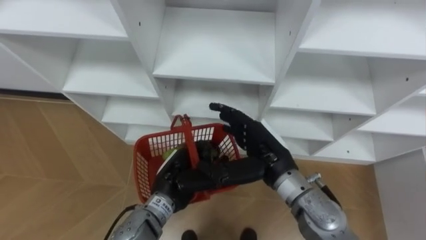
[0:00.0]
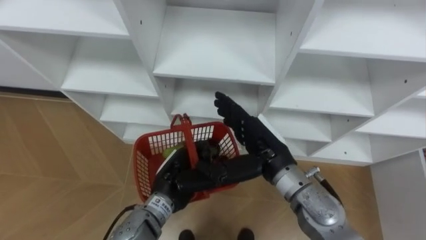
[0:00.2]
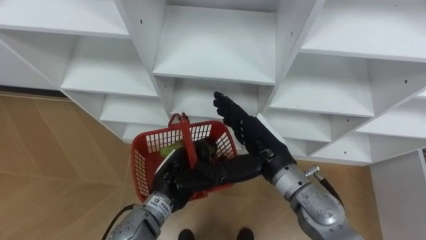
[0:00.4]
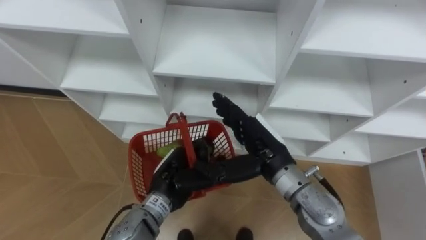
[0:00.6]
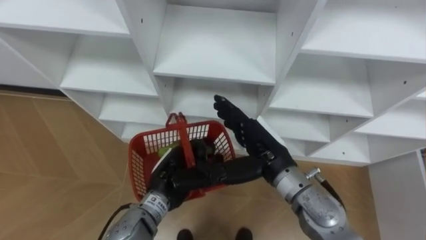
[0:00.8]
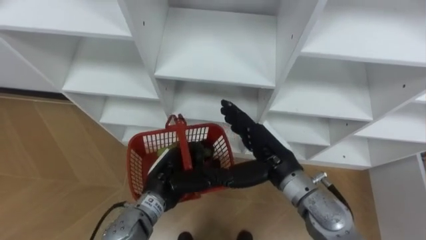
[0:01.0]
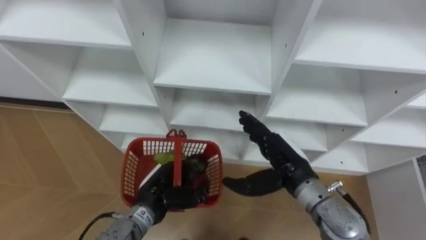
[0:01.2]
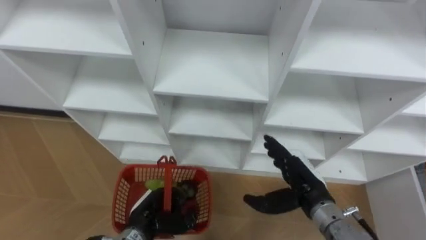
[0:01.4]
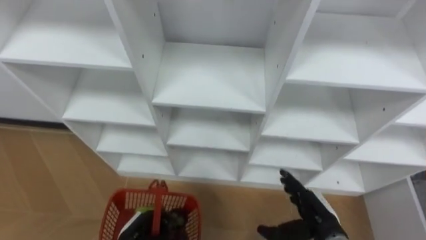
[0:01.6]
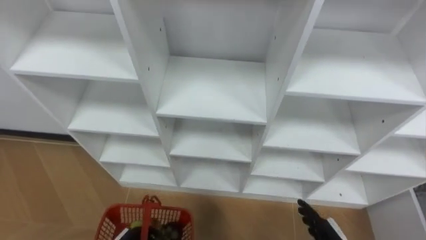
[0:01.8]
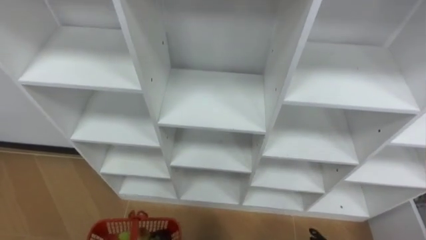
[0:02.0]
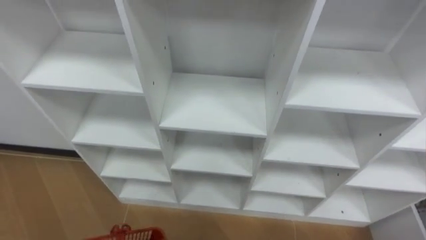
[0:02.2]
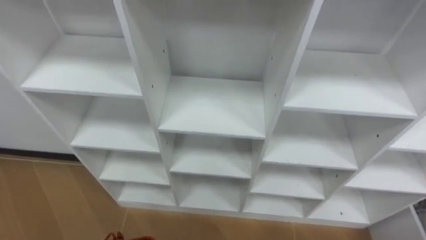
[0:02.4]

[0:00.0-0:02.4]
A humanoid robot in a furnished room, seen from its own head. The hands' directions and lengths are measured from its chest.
Task of the whole recording: Hold the basket and collect the fruits from 3 different cells of the closet into it.
0:00.0 to 0:01.2: The left hand changes place by about 5 cm.

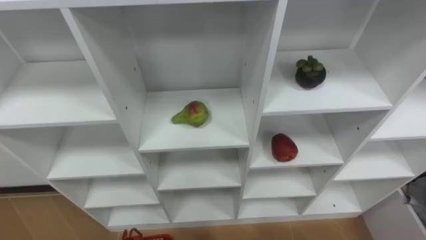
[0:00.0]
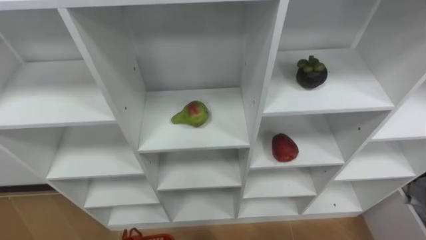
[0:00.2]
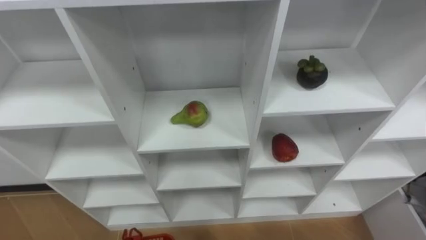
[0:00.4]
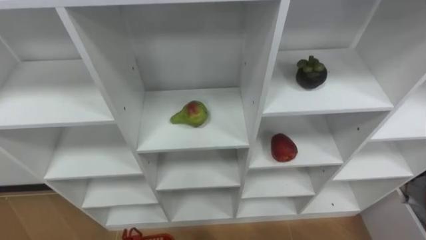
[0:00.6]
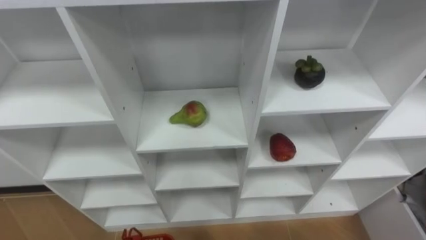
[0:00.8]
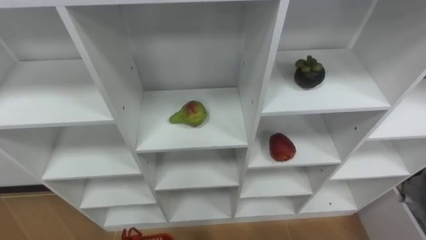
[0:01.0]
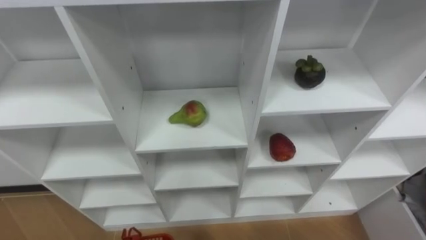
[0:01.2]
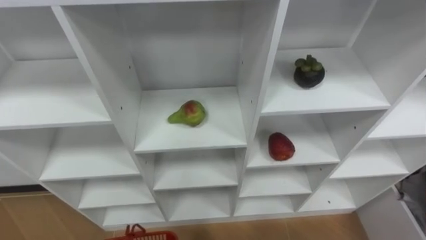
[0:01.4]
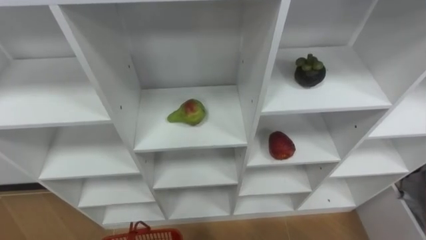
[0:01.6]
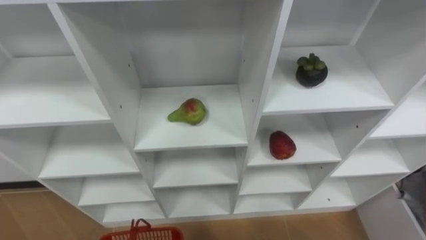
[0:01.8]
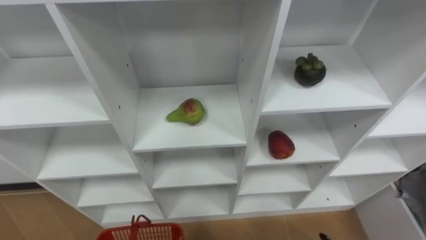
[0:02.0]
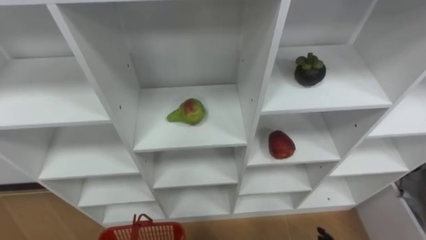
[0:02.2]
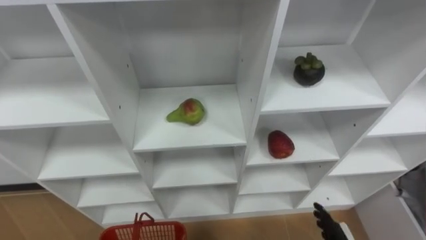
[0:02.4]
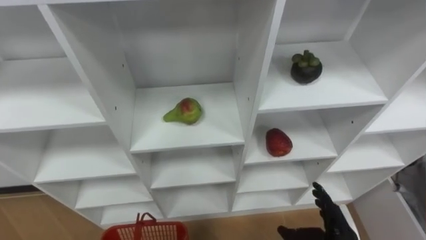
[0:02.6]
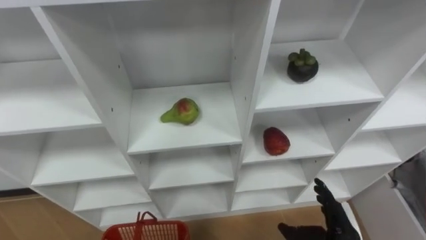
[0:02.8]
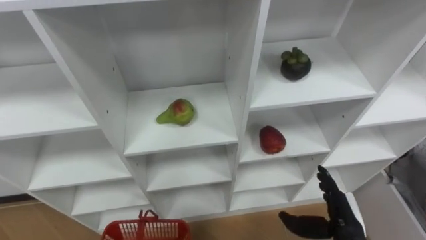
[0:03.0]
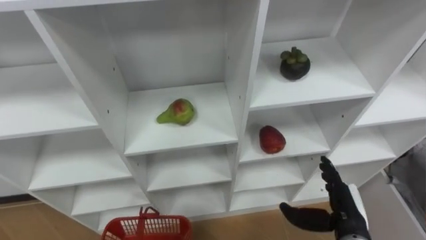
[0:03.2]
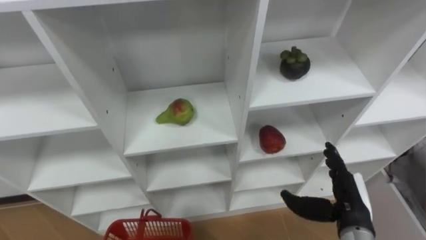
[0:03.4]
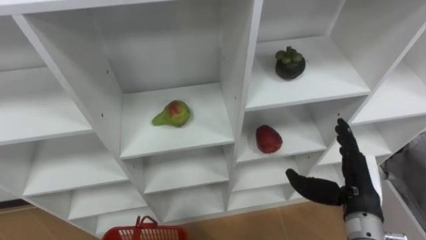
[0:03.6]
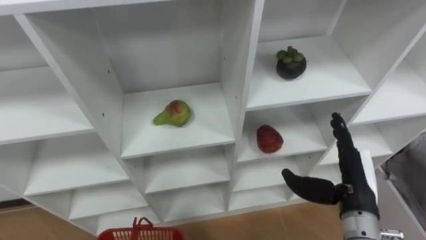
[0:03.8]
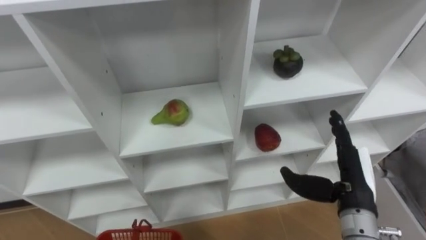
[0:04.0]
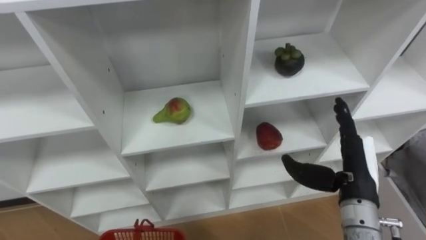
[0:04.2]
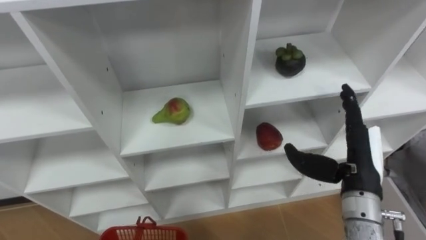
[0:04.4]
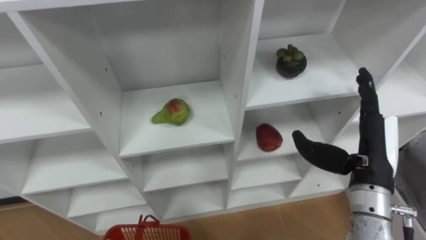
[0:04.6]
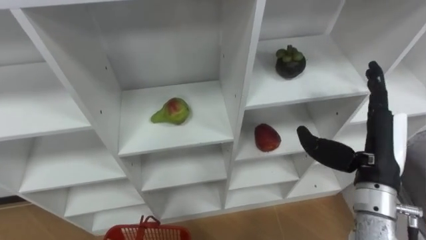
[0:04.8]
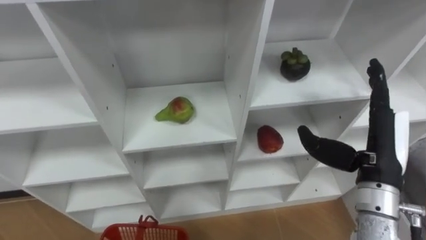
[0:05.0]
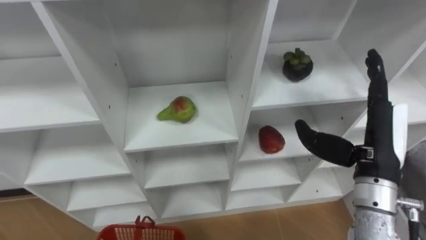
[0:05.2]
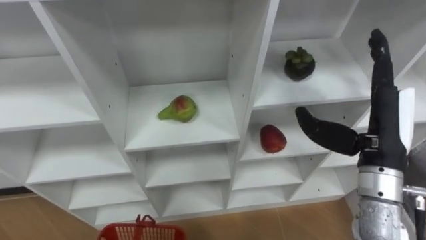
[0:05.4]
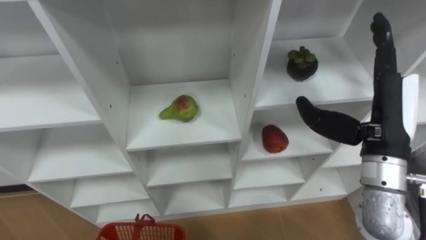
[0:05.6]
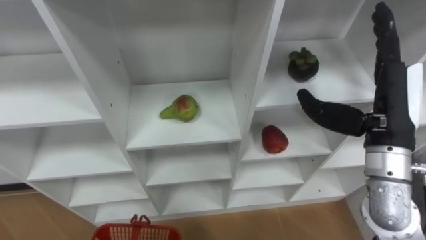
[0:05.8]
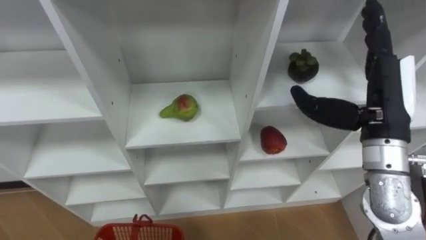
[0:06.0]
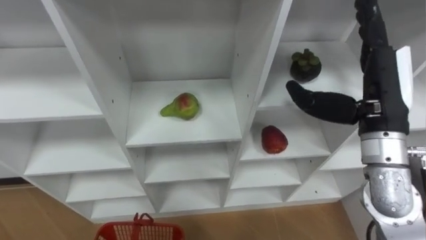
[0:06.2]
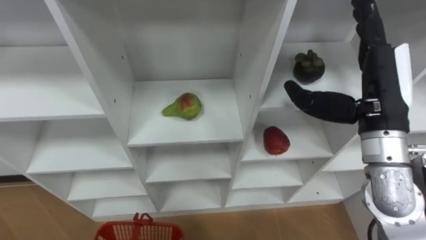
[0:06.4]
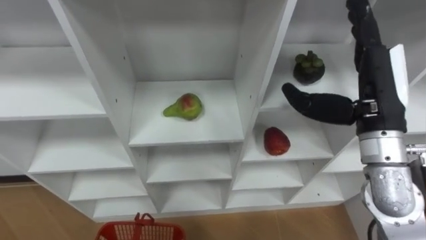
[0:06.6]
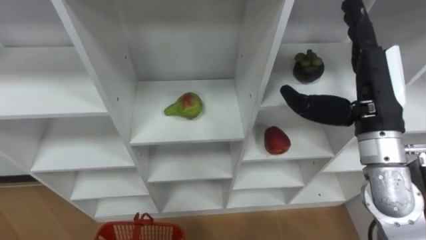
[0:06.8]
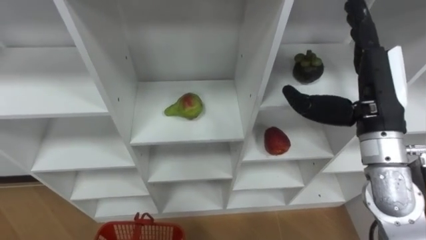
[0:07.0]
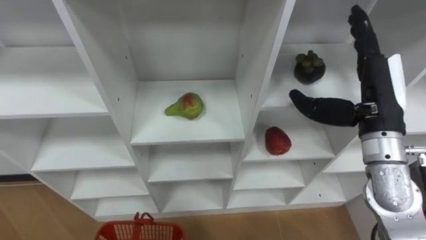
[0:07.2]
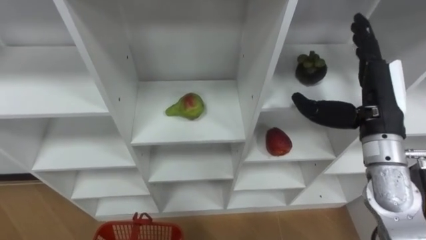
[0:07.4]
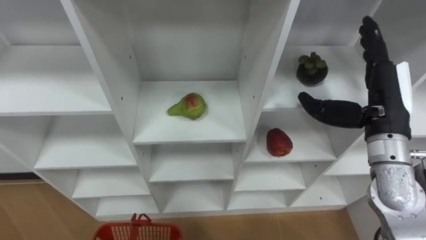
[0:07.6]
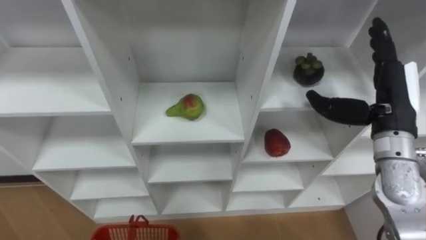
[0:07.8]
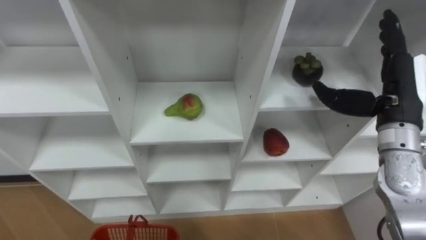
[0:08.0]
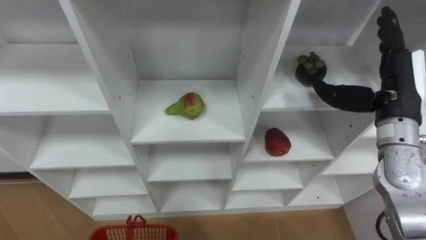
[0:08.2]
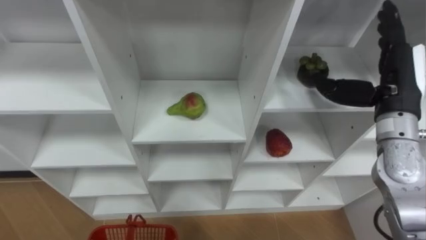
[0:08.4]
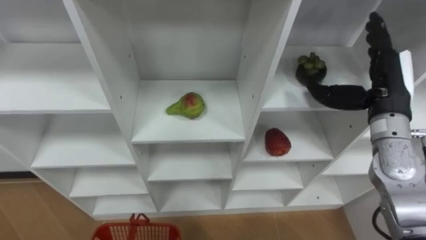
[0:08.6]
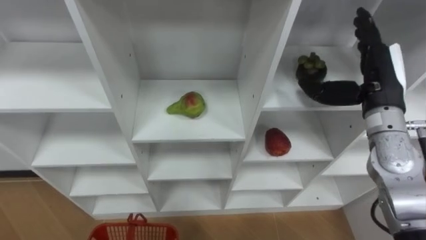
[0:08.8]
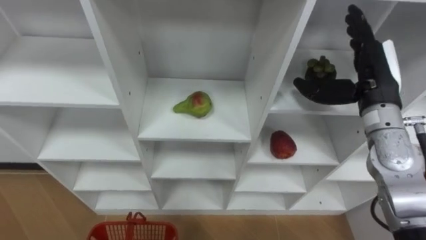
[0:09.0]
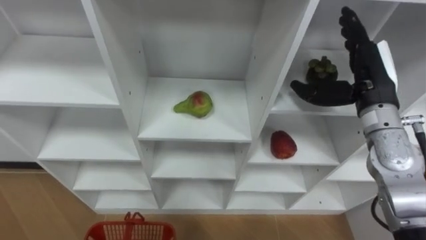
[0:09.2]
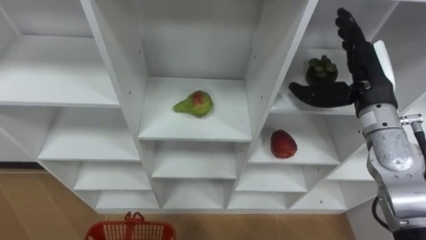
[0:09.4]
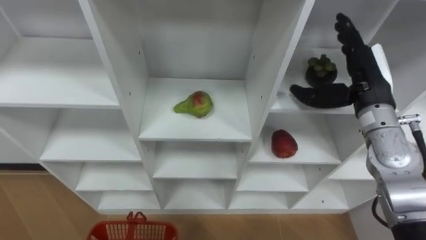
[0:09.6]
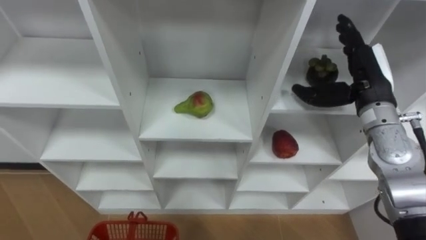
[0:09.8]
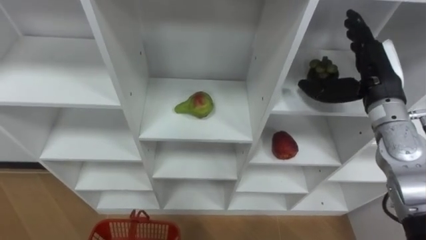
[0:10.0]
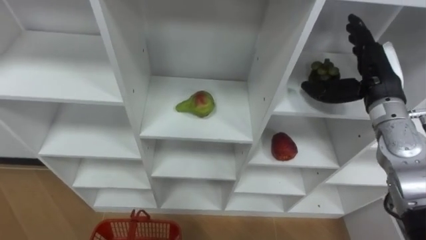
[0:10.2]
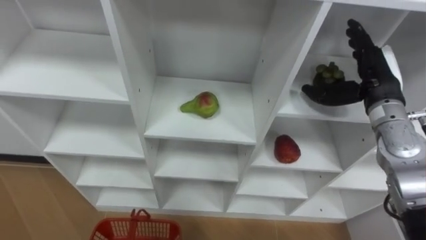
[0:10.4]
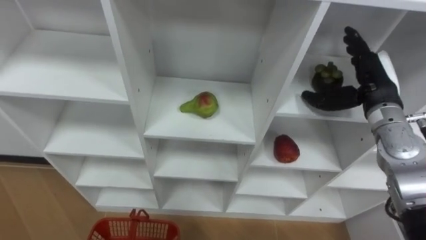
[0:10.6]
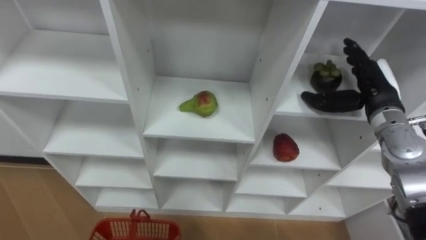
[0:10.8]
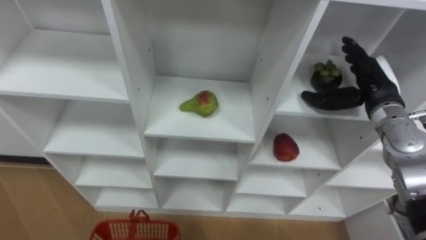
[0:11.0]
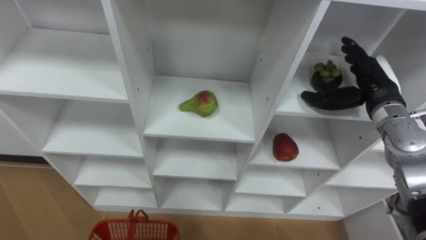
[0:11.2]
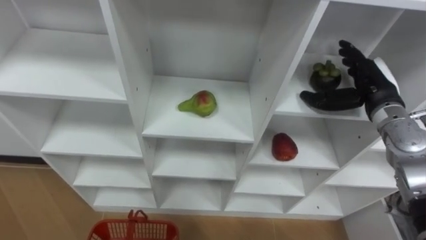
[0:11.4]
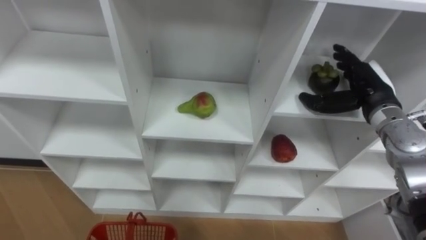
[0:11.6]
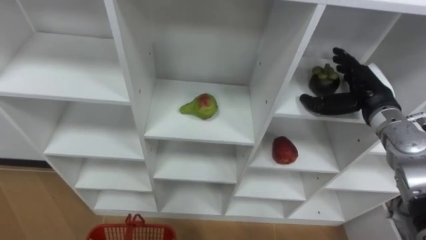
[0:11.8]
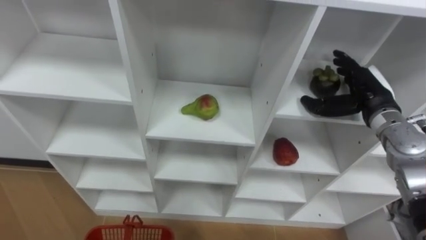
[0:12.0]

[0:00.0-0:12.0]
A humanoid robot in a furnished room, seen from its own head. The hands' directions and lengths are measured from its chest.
Task of the whole recording: Hold the basket and collect the fruits from 3 different cells of the closet into it.
0:03.0 to 0:04.4: The right hand goes some 15 cm upward and forward.
0:04.4 to 0:06.0: The right hand travels upward by roughly 10 cm.
0:10.4 to 0:12.0: The right hand goes roughly 5 cm downward.

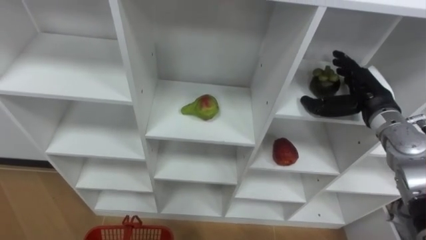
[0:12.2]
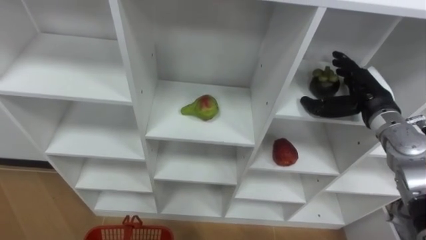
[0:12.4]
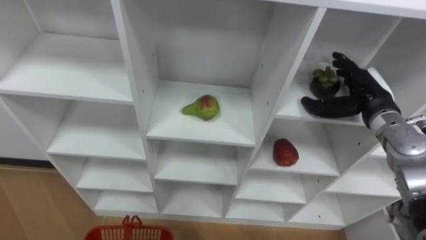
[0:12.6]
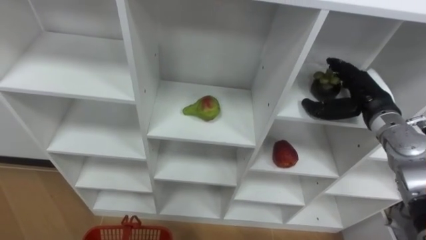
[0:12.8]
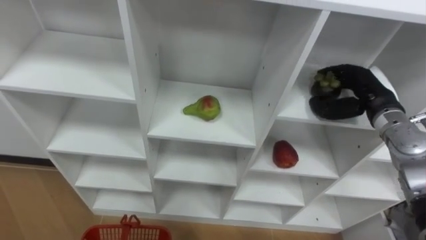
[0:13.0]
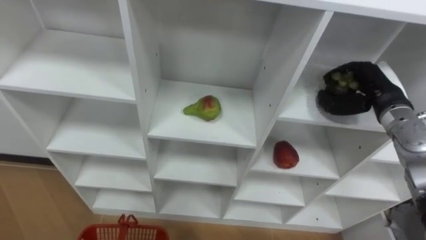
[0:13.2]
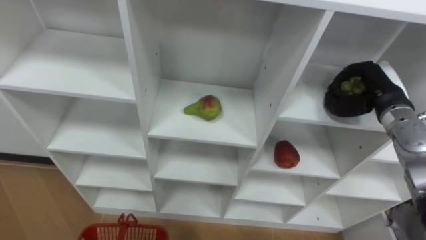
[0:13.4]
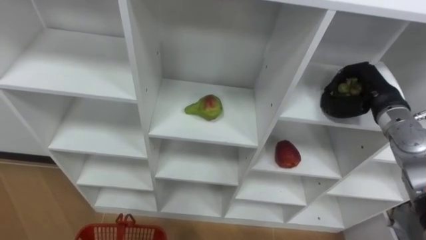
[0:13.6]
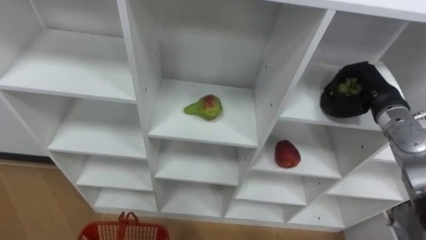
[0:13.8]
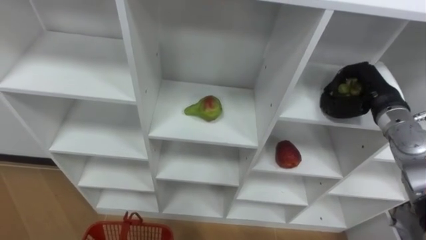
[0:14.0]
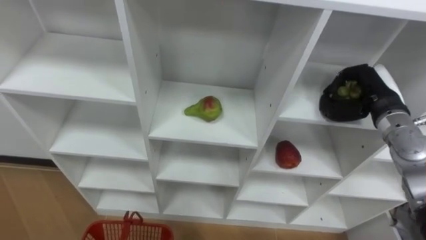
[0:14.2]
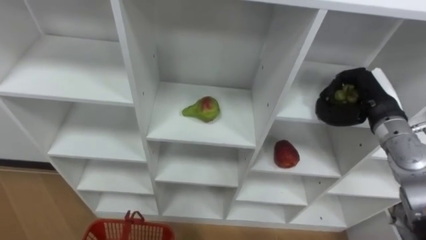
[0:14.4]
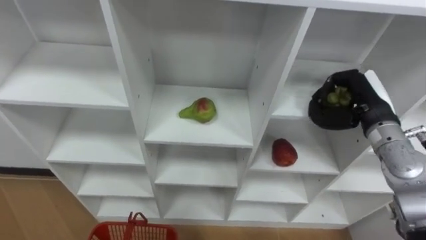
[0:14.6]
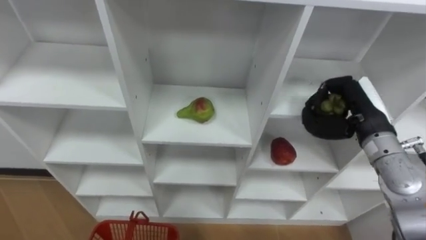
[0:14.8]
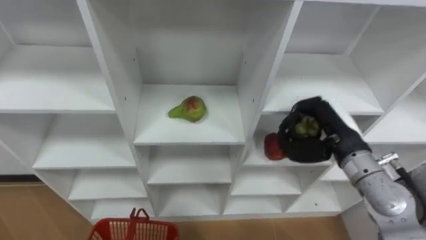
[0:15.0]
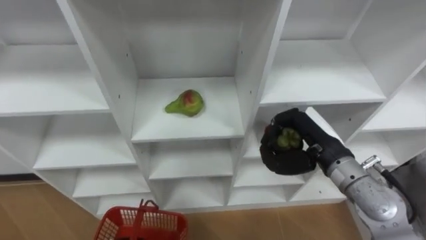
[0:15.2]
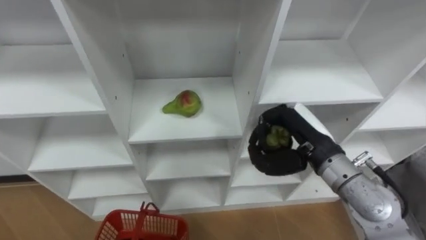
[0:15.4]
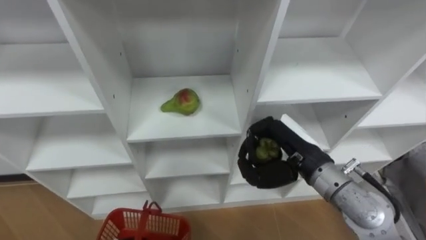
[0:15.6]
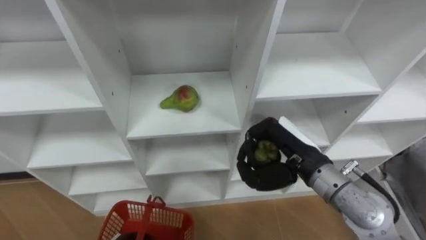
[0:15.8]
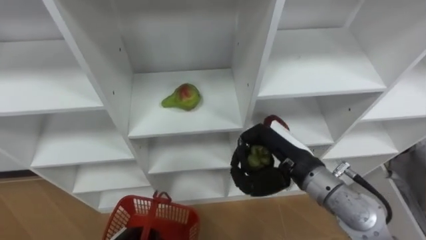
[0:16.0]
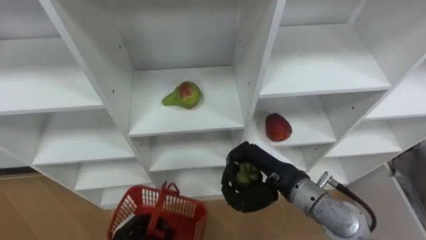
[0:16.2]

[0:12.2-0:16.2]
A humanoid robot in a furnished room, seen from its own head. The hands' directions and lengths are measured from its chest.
Task of the whole recording: Hold the basket and collect the fruits from 3 different cells of the closet into it.
0:12.2 to 0:13.6: The right hand closes.
0:13.6 to 0:14.8: The right hand shifts approximately 5 cm backward.
0:14.8 to 0:16.2: The right hand shifts about 15 cm to the left and backward.
